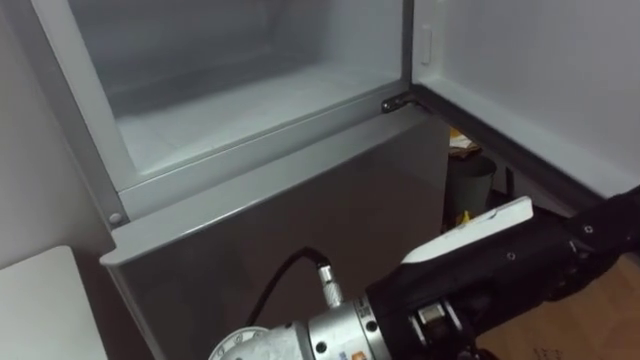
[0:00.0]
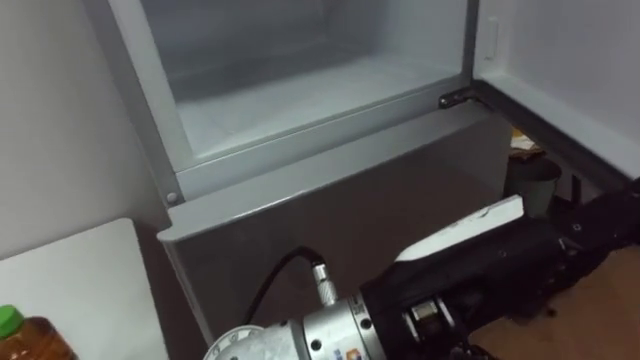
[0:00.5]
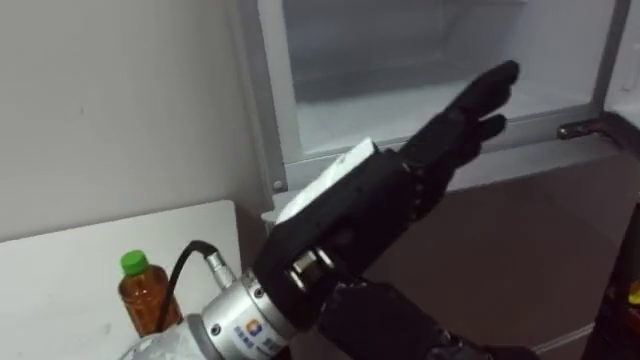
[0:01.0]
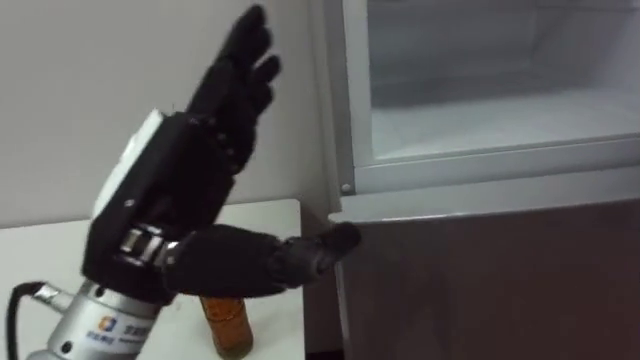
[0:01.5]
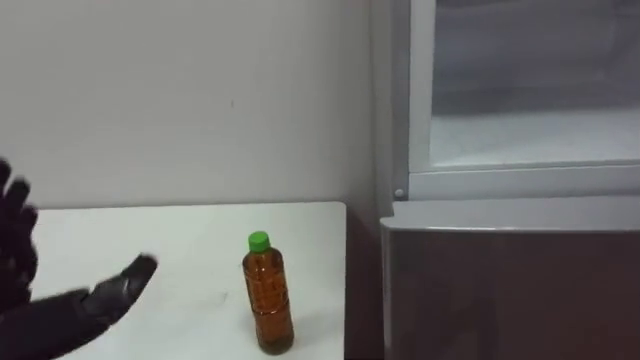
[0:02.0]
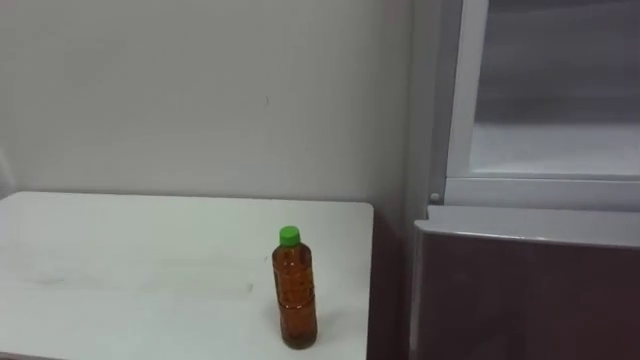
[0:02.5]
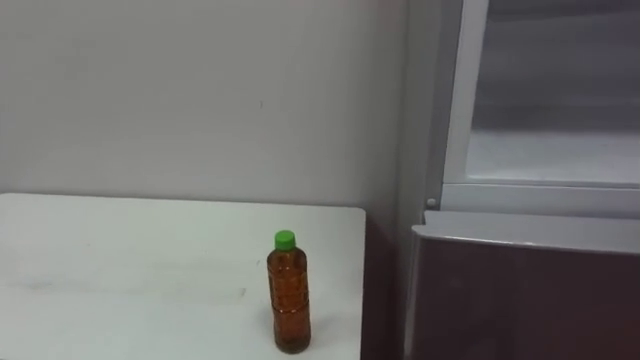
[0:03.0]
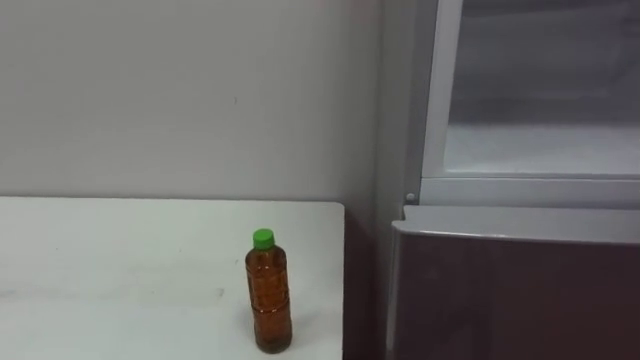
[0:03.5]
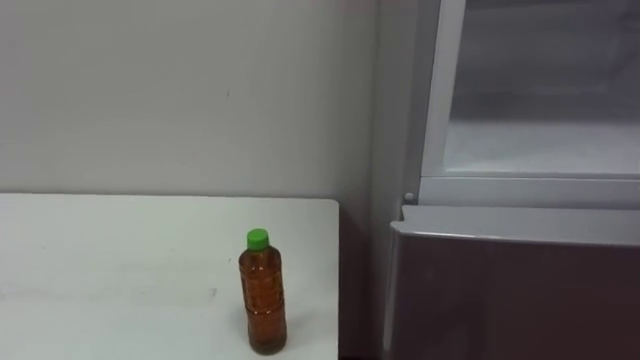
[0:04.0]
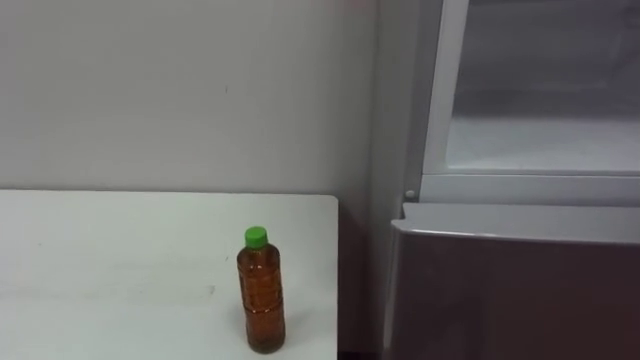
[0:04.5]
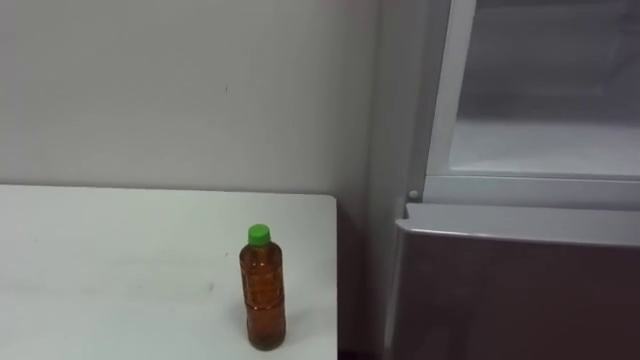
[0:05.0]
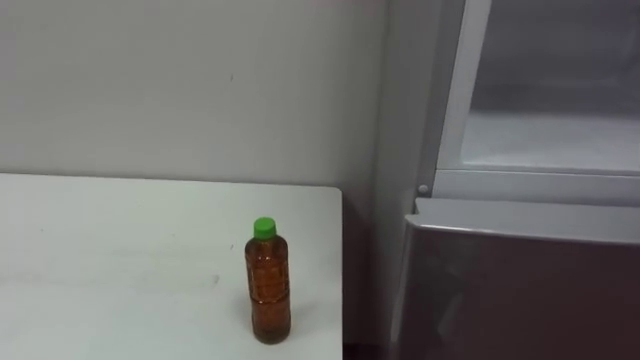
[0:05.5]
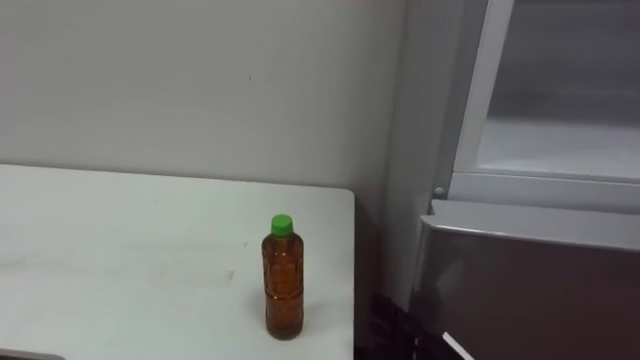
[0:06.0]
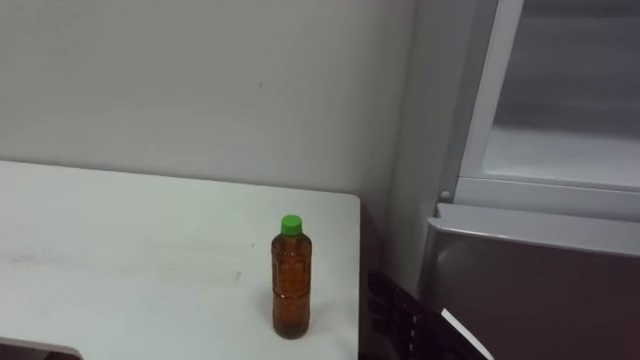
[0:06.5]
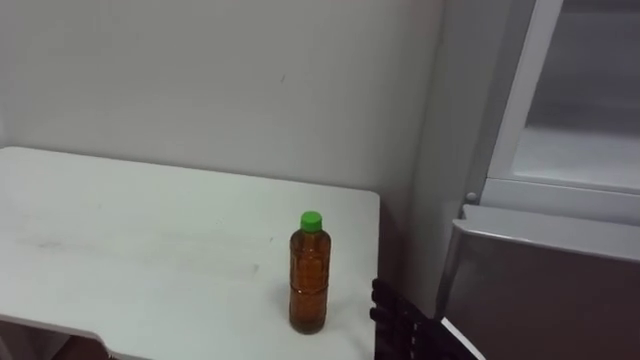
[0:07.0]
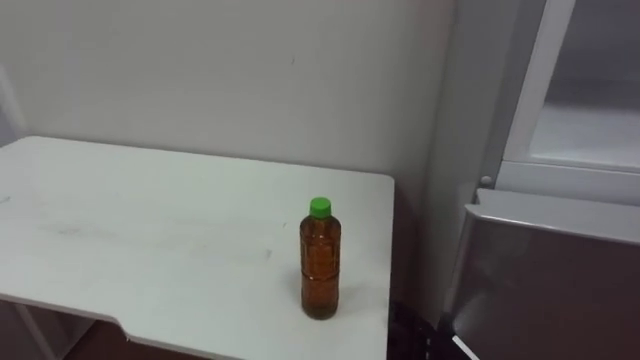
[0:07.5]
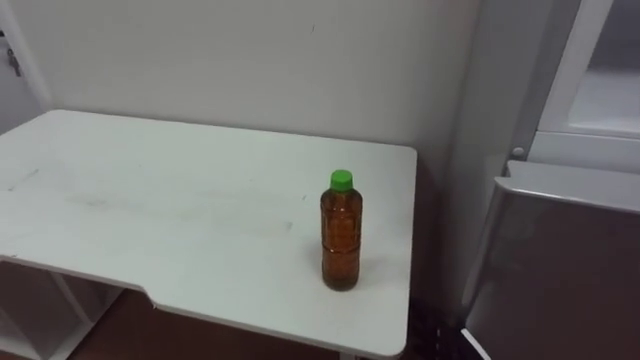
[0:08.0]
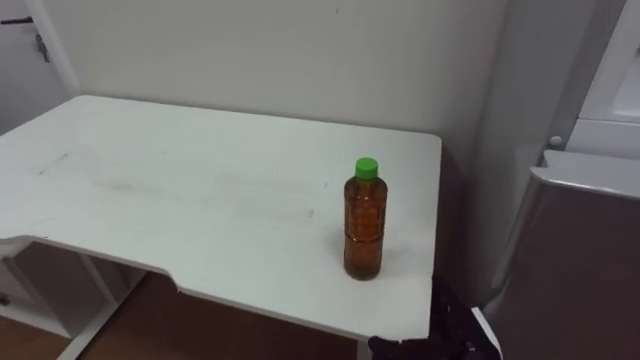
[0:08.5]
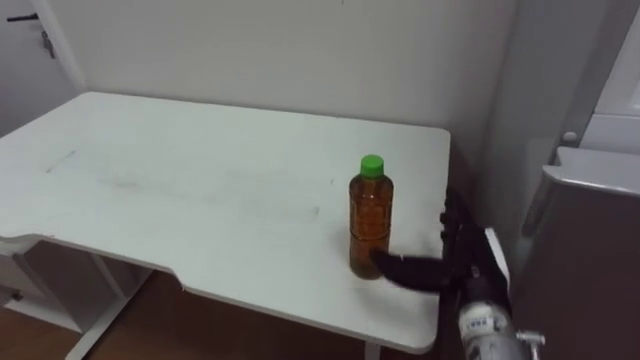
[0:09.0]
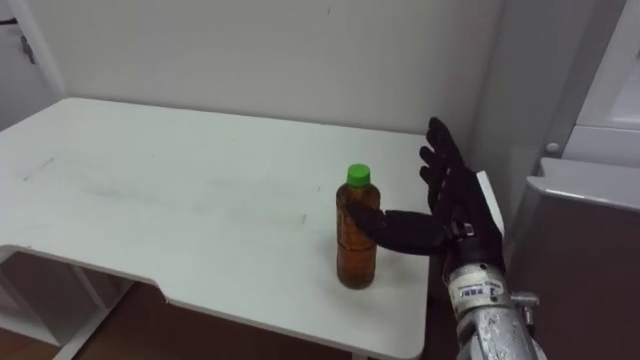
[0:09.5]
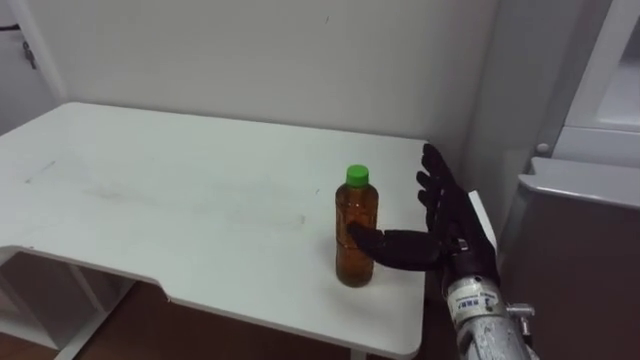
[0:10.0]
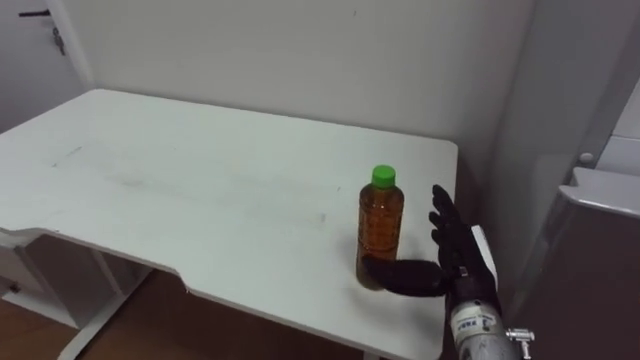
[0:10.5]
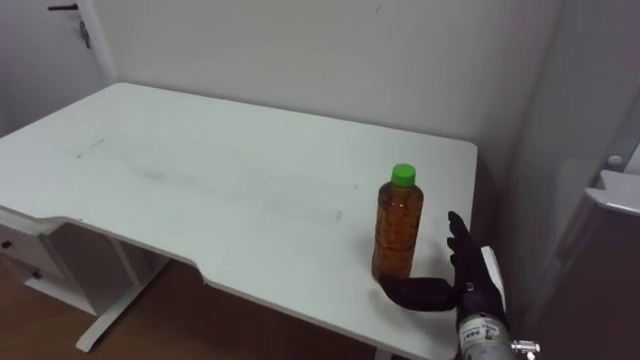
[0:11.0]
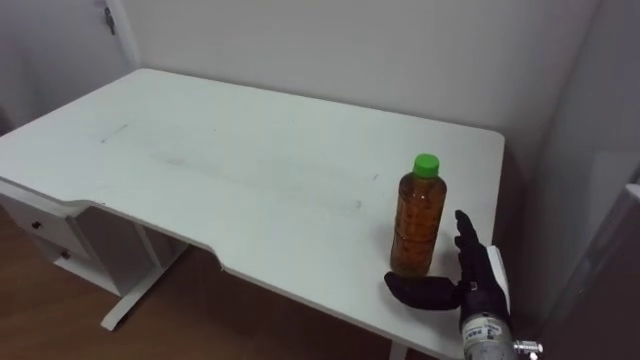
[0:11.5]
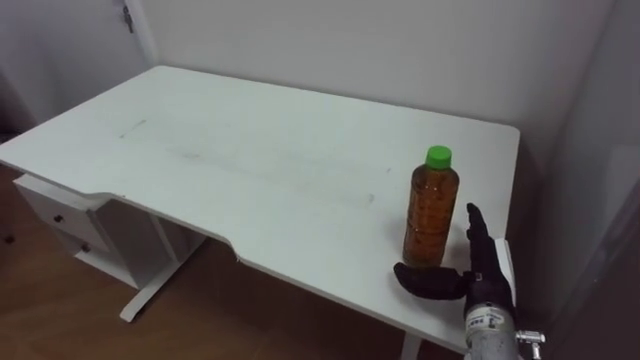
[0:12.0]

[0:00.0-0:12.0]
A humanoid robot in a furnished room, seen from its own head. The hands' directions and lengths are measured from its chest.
Task of the whole recording: Open the upper refrigerator door, put the drink from the table into the refrigerator, and then close the refrigerator door.
0:10.0 to 0:12.0: The right hand moves downward, about 10 cm.

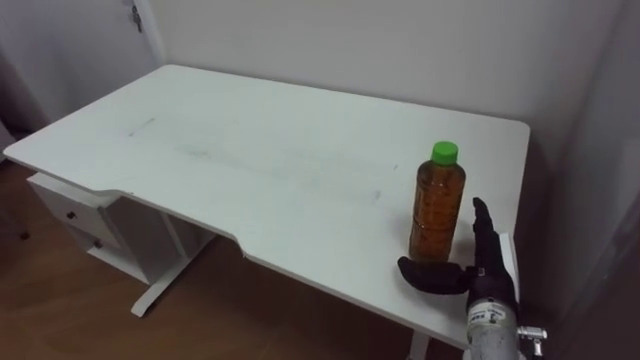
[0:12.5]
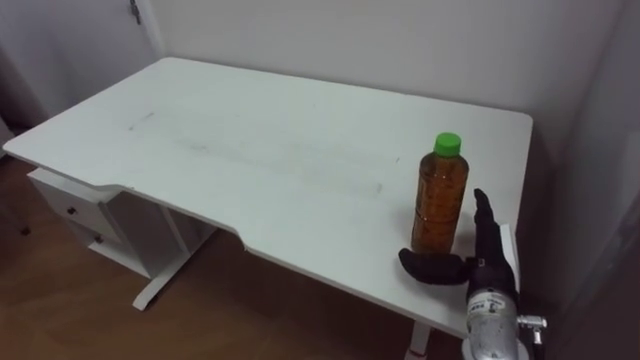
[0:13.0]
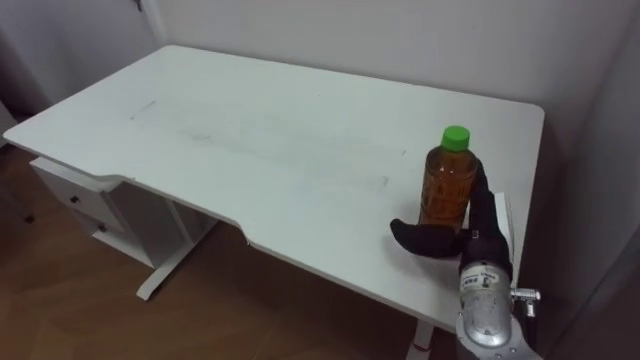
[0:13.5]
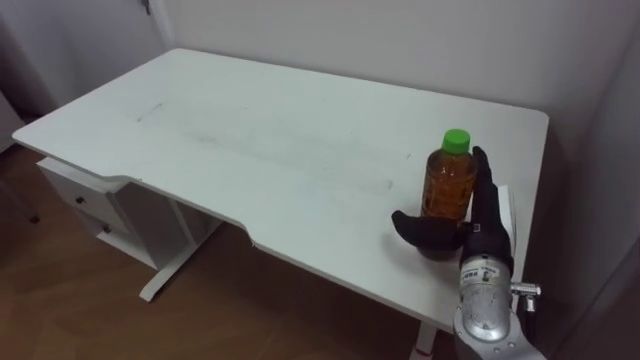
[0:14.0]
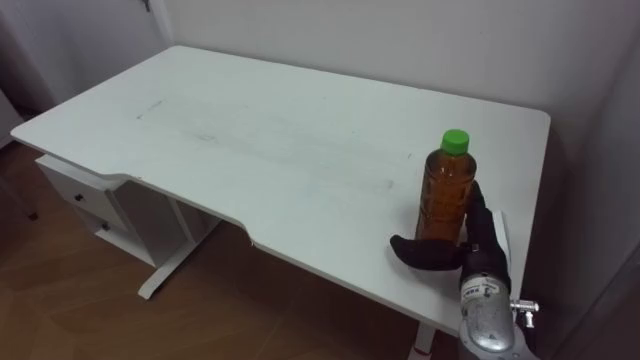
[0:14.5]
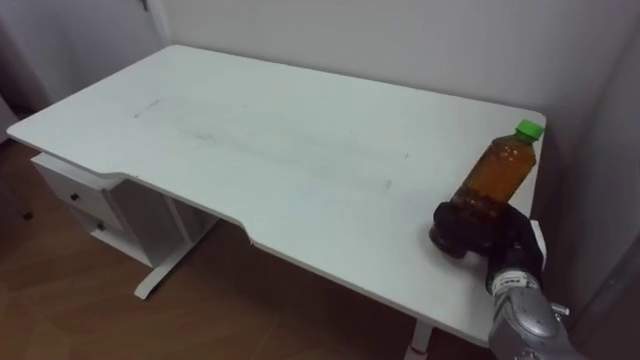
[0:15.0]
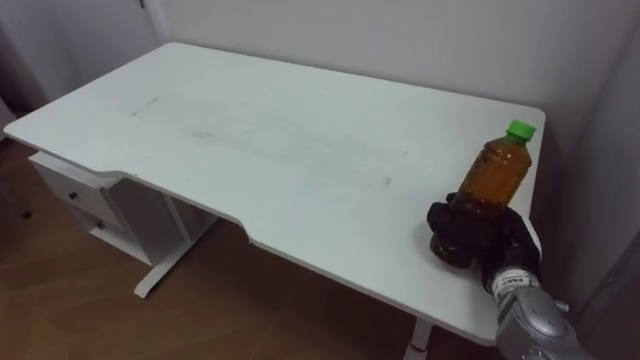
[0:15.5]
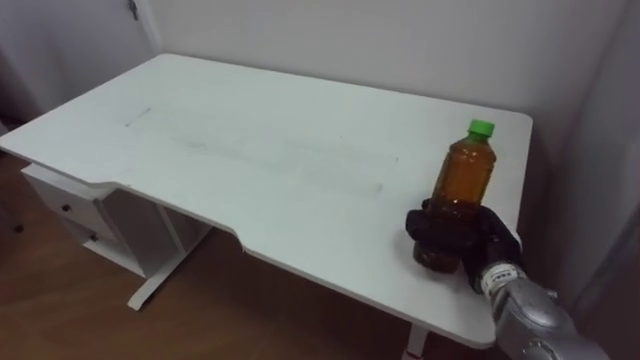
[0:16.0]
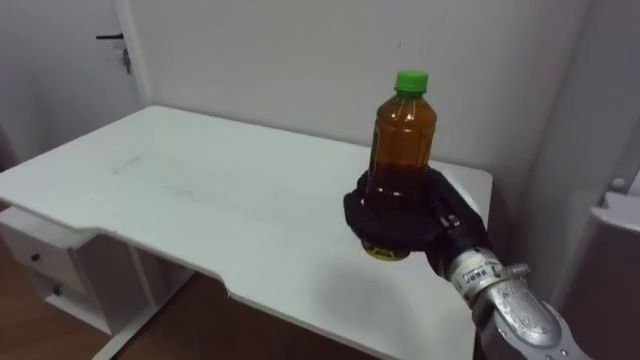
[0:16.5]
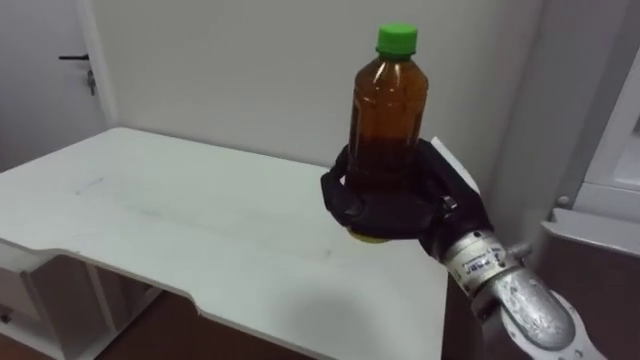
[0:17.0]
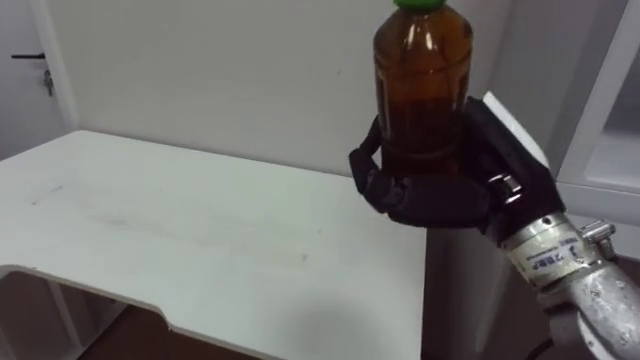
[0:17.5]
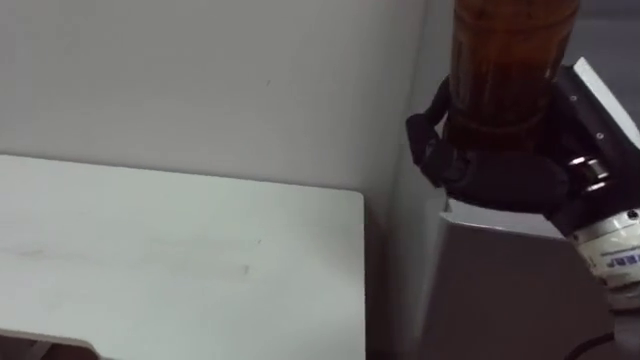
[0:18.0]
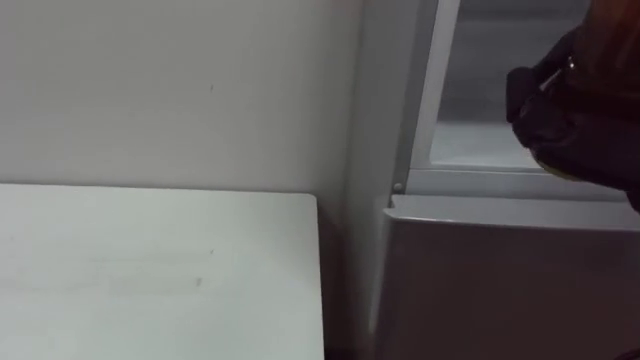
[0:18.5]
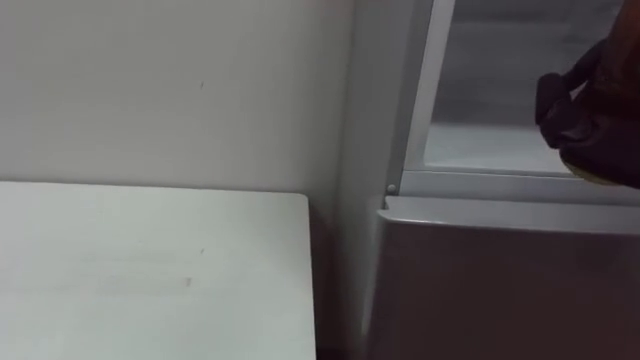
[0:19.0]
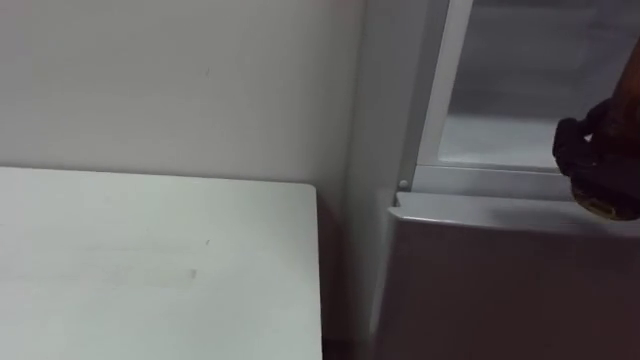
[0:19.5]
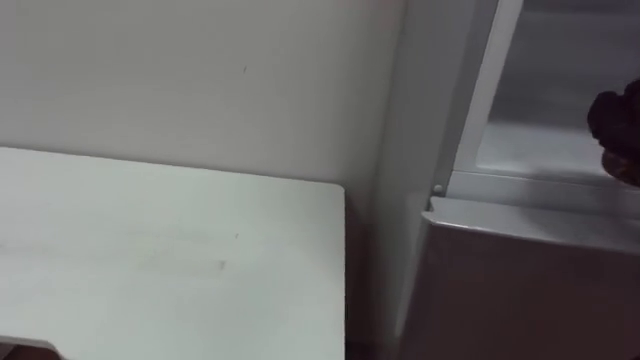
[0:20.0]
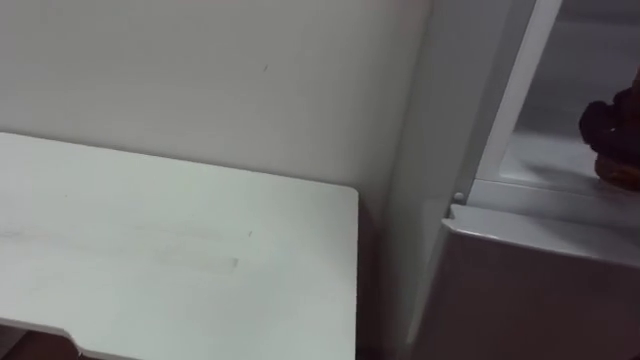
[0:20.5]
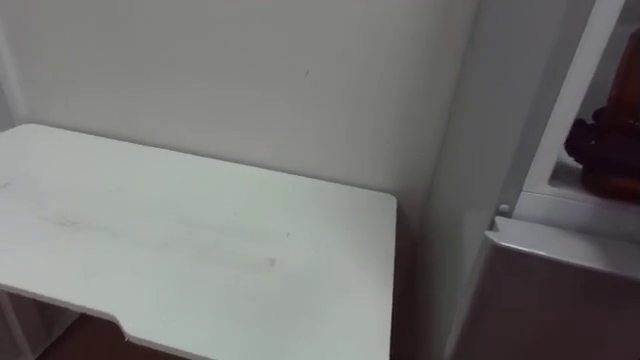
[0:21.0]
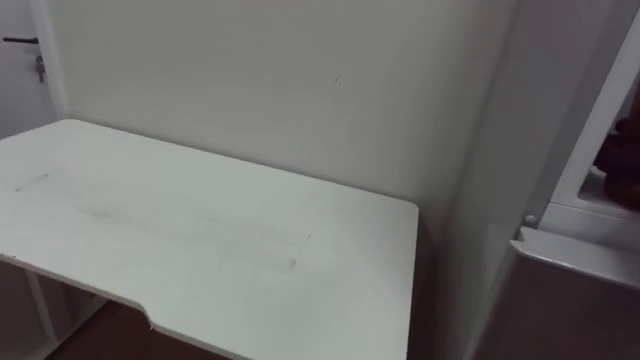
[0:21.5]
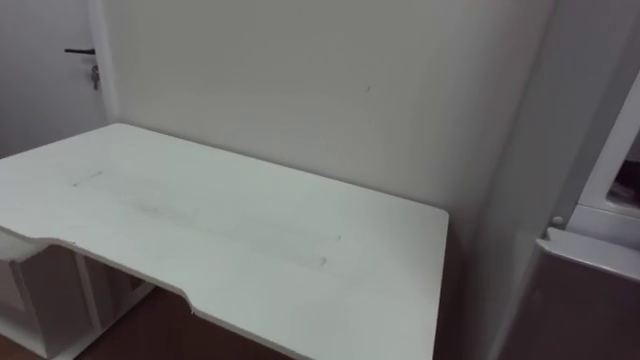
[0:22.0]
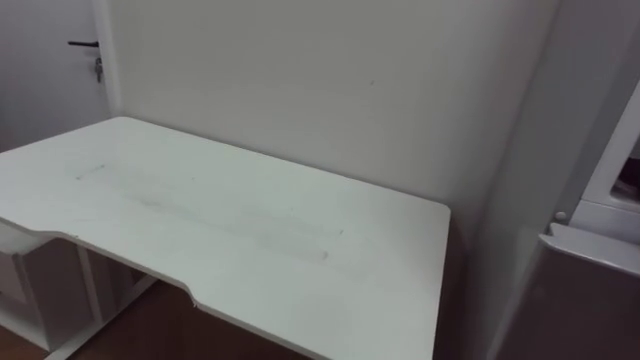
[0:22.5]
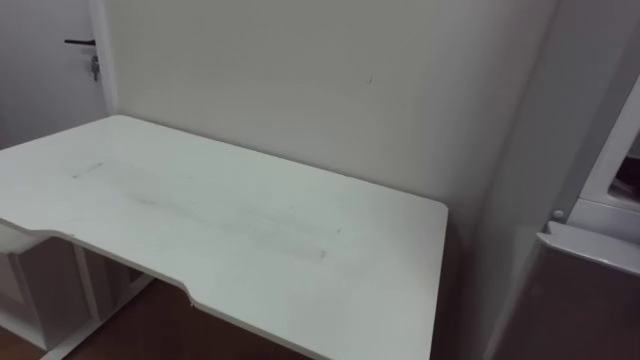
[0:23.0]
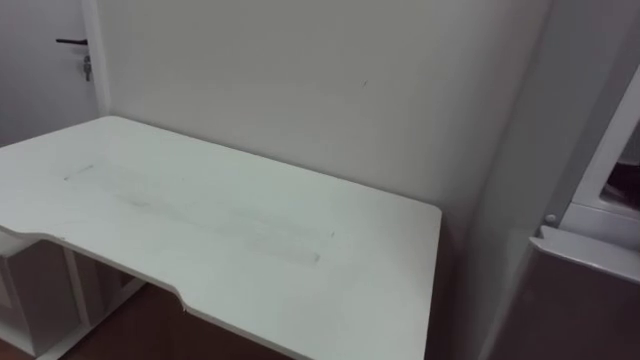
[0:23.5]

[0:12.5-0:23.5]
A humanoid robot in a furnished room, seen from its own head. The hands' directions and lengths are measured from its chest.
Task of the whole recording: Open the upper refrigerator door, put the drink from the table into the refrigerator, and then close the refrigerator door.
0:14.5 to 0:16.0: The right hand closes.
0:16.0 to 0:18.0: The right hand heads upward and backward, covering approximately 25 cm.
